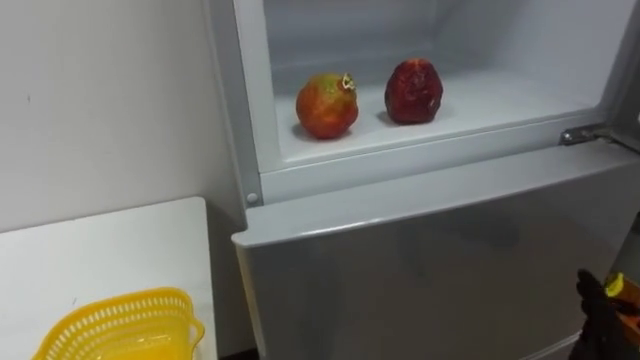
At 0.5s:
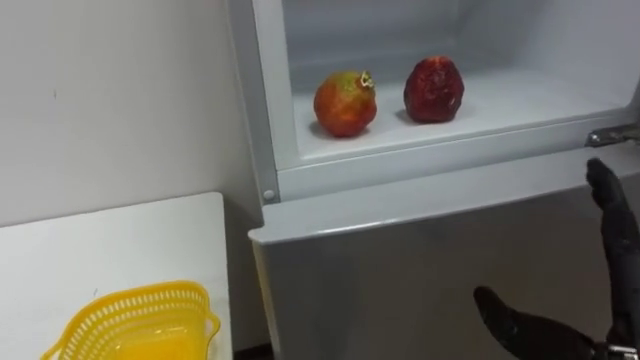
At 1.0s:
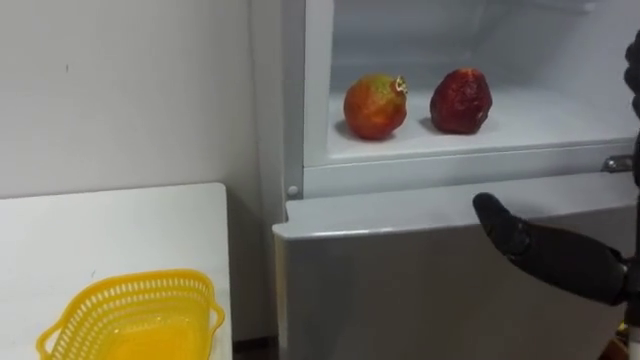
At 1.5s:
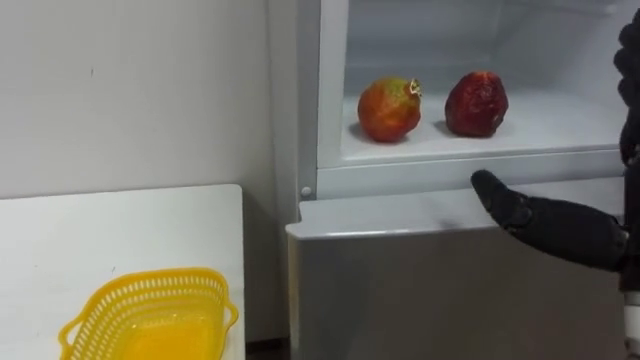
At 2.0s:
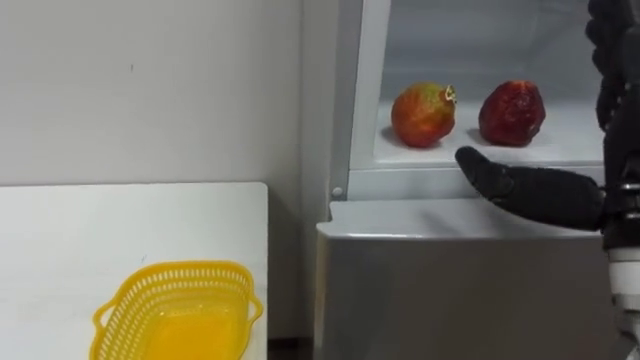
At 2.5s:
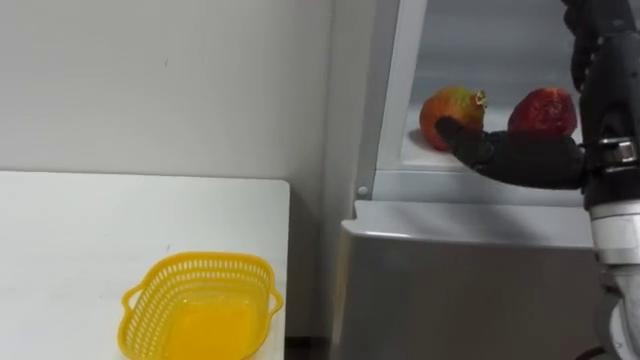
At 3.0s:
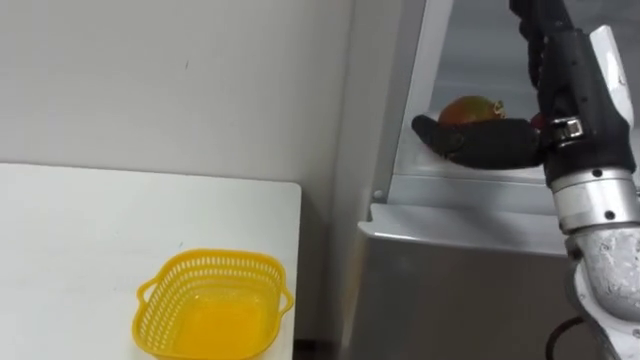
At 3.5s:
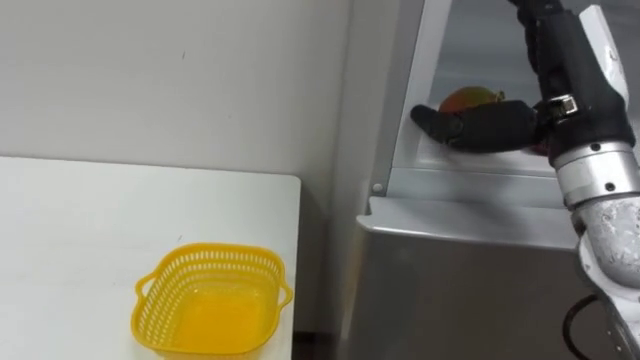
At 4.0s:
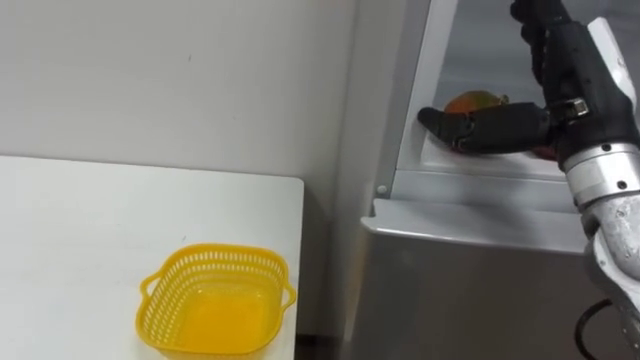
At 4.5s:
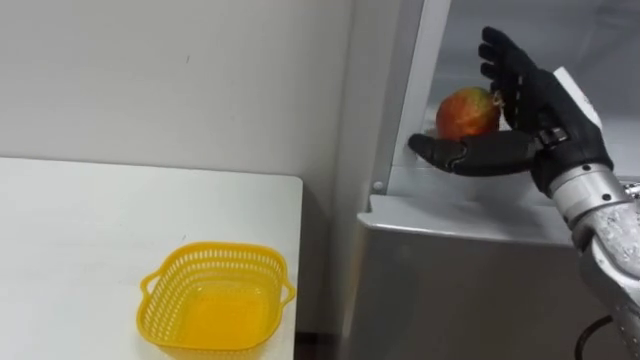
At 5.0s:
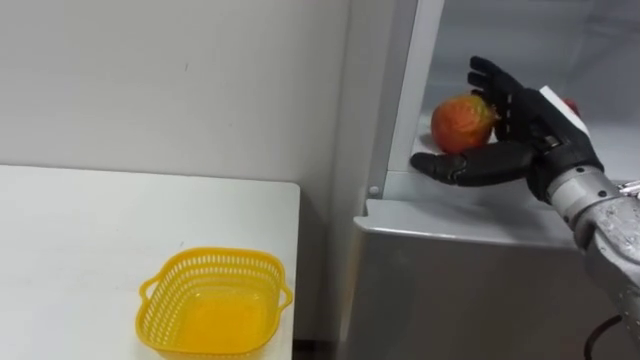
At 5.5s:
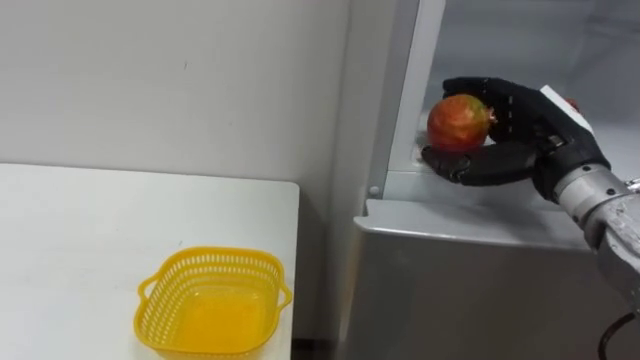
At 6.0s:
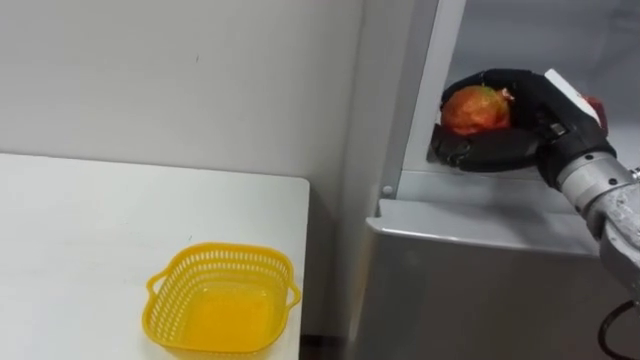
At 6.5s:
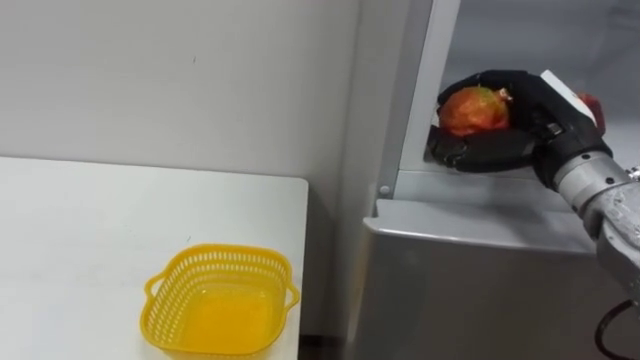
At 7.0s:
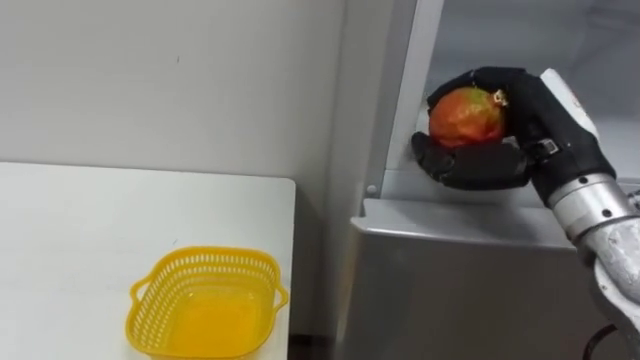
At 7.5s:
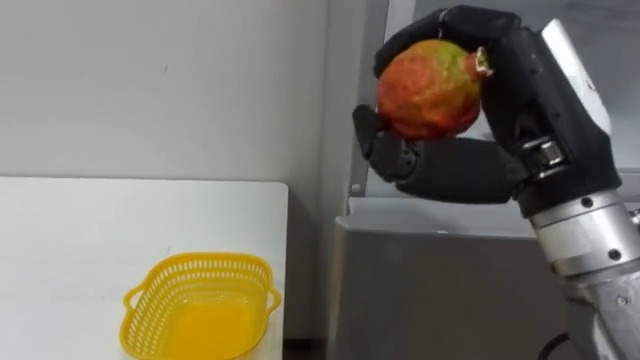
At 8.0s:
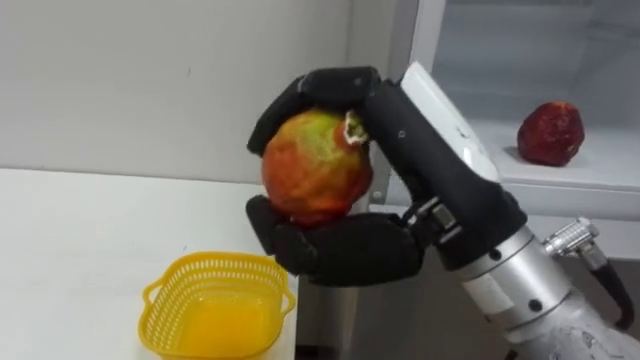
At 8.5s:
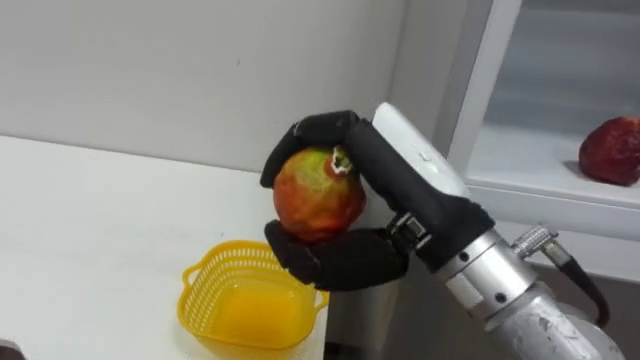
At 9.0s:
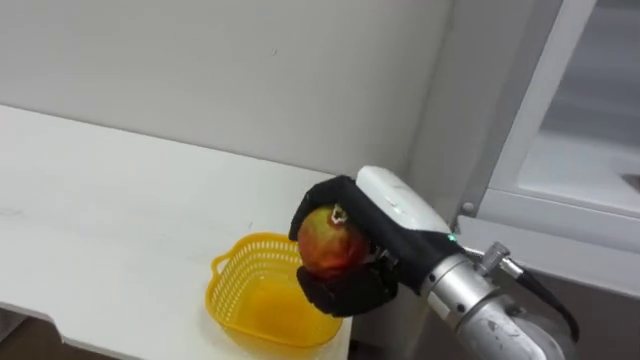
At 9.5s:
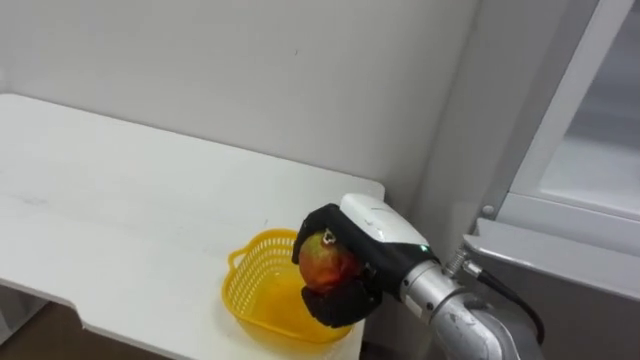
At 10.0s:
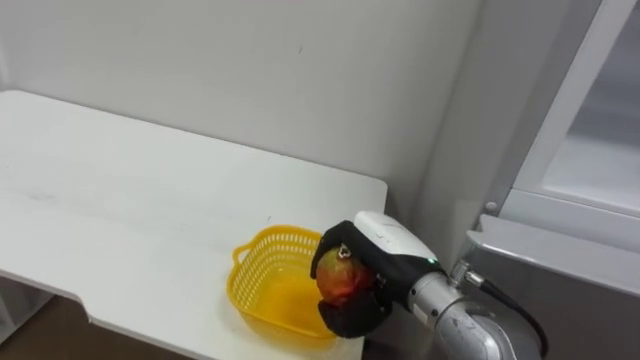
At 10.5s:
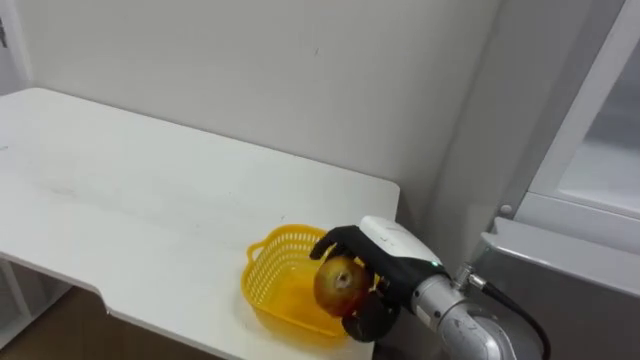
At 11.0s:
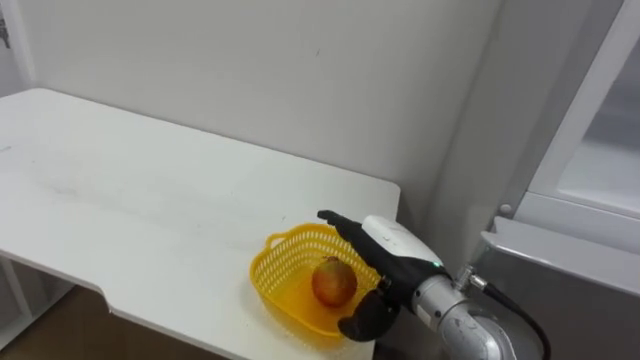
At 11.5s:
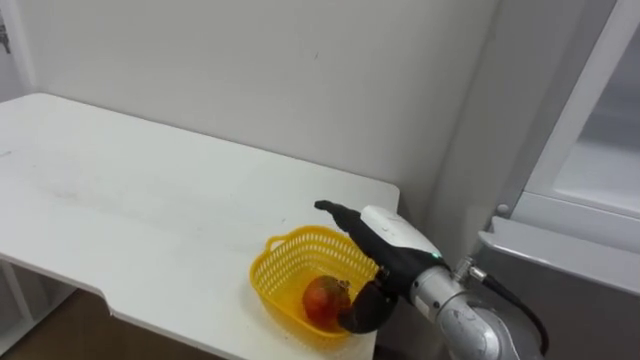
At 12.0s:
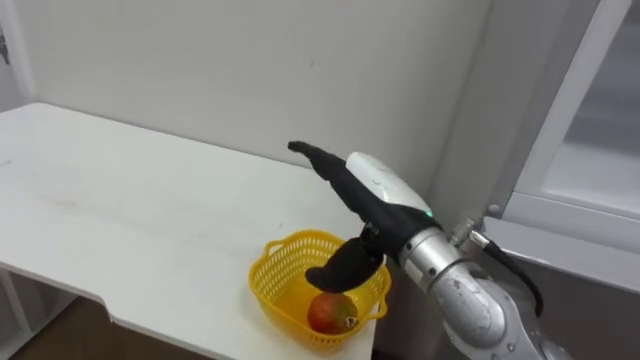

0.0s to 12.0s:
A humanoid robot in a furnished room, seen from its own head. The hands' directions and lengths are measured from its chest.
Task of the whole recording: Open the refrigerator door, take out the apple and the pomegranate, place them in the fruit basket on the left, and close the refrigerator door.
2.0s to 4.0s: The right hand is displaced forward by some 10 cm.
4.0s to 6.0s: The right hand changes place by some 5 cm, and closes up.
6.0s to 8.0s: The right hand goes about 20 cm to the left and backward.
8.0s to 10.0s: The right hand moves downward and forward, about 20 cm.
10.0s to 12.0s: The right hand moves upward, approximately 5 cm, and opens its fingers.

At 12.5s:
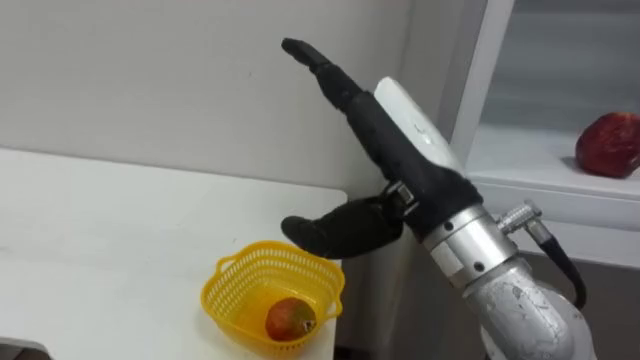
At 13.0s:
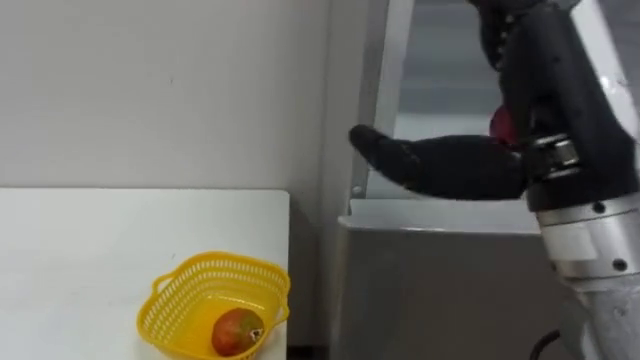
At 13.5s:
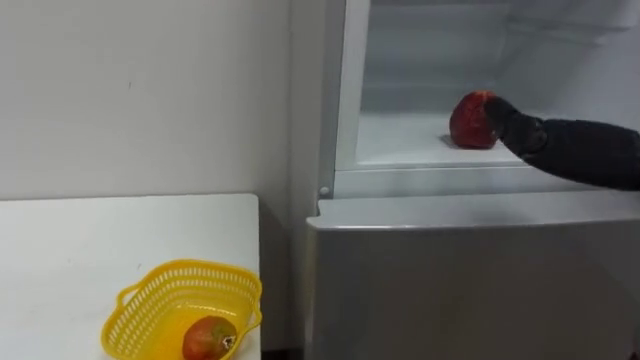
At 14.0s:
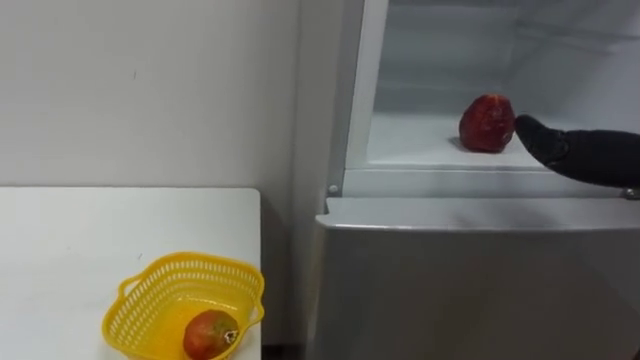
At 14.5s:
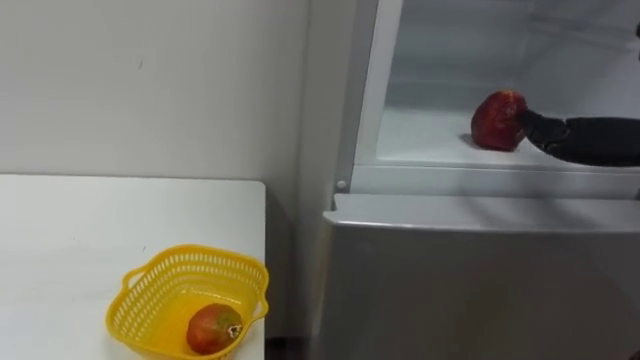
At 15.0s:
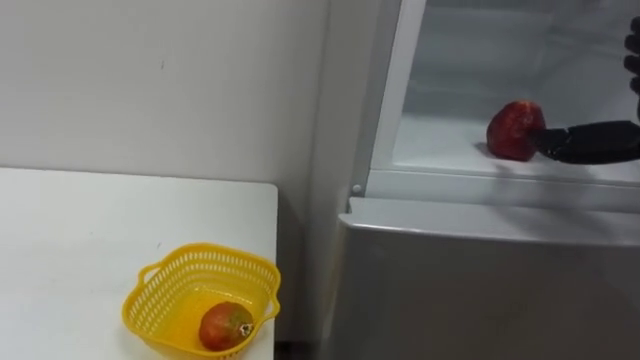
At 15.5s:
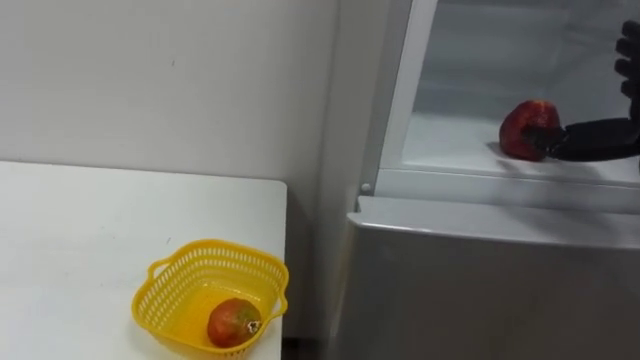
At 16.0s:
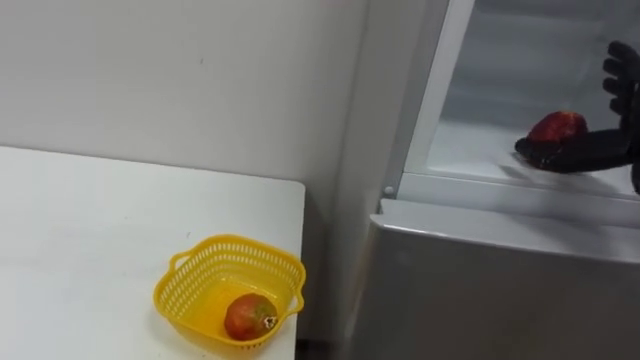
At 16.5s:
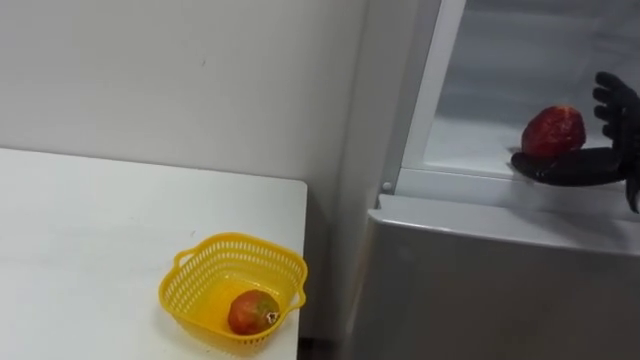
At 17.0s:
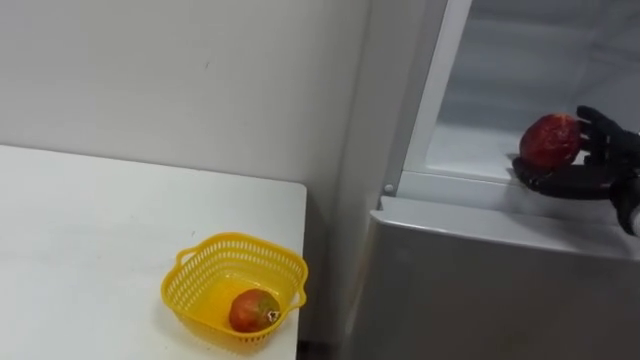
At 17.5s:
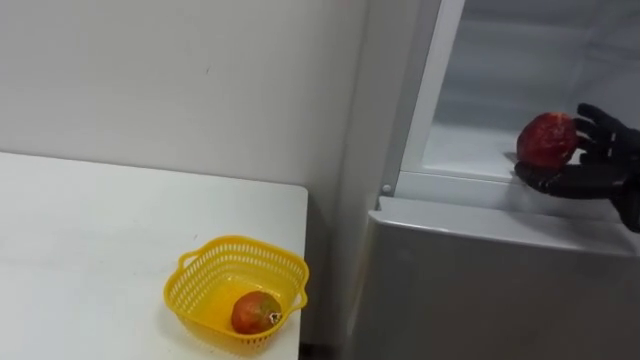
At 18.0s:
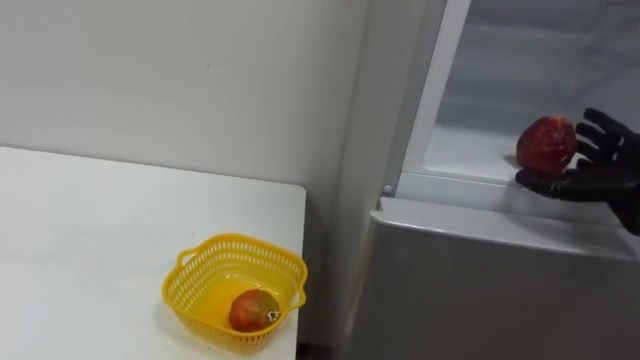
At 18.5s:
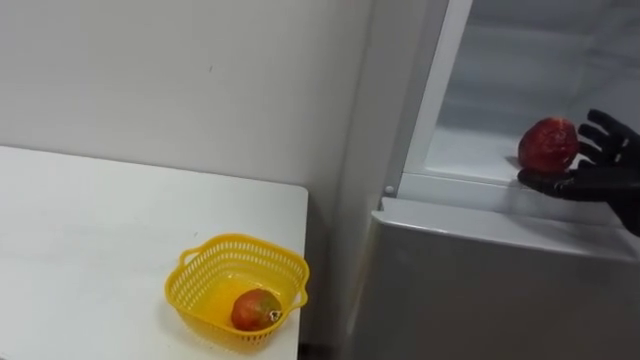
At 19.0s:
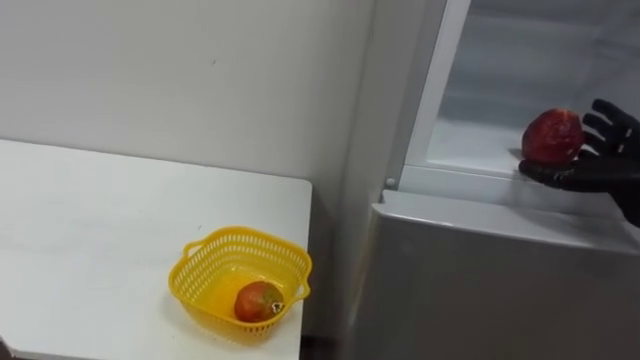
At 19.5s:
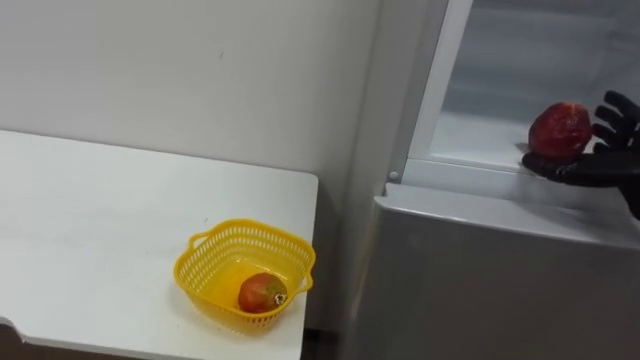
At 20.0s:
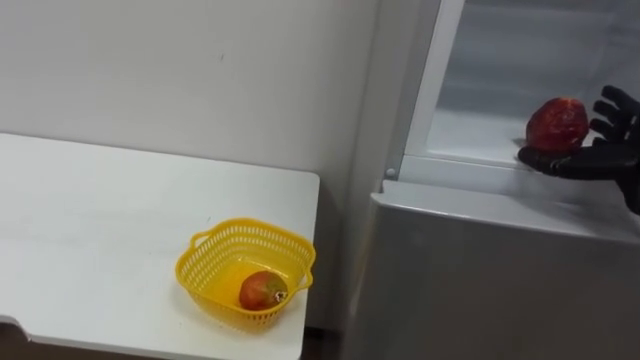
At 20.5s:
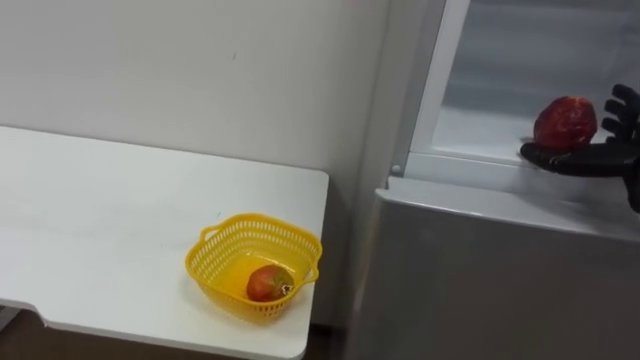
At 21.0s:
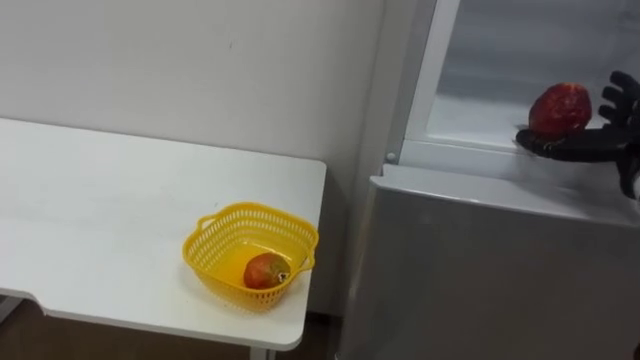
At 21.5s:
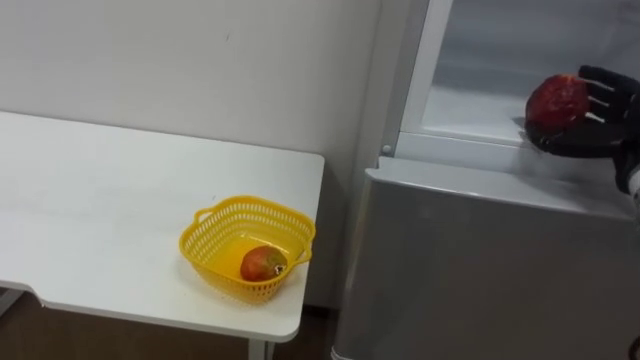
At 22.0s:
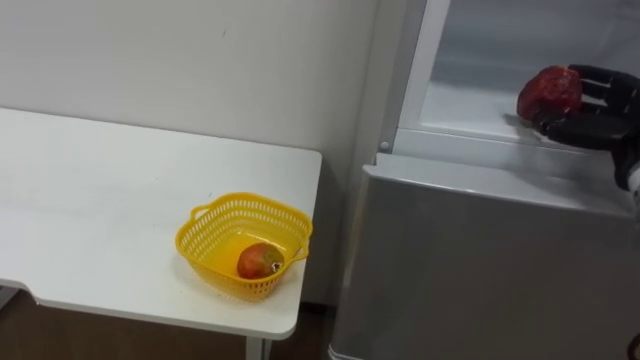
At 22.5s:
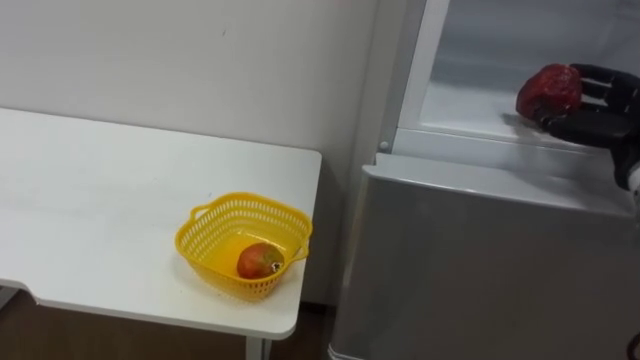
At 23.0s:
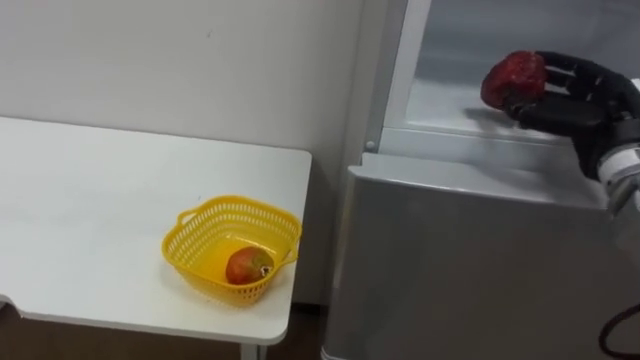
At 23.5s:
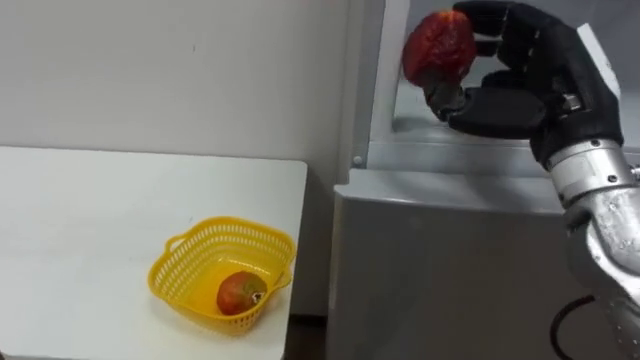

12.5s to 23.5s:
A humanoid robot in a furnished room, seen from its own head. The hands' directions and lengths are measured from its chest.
Task of the whole recording: Open the refrigerator door, take out the apple and the pomegranate, place them in the fruit basket on the left, and close the refrigerator door.
21.5s to 23.5s: The right hand travels to the left, upward and backward by approximately 15 cm, and closes its fingers.
